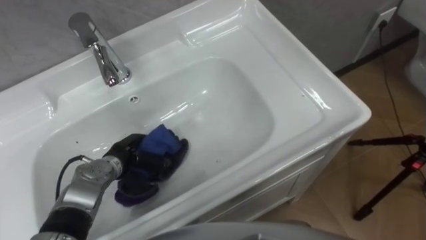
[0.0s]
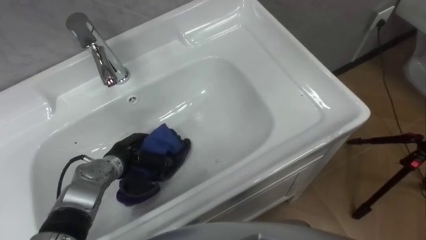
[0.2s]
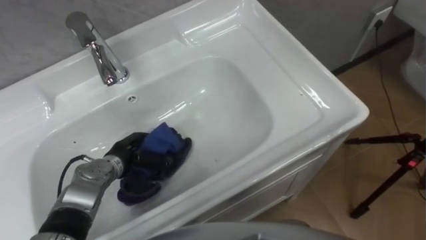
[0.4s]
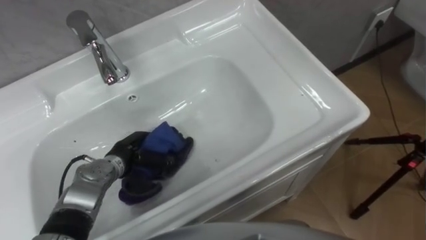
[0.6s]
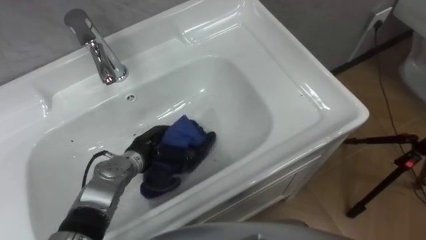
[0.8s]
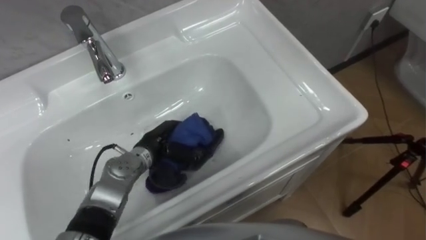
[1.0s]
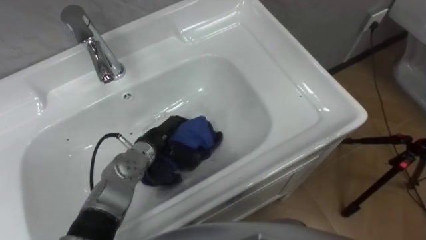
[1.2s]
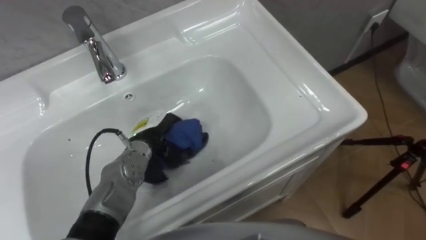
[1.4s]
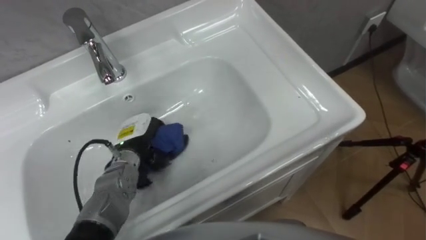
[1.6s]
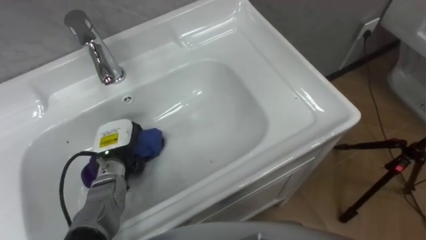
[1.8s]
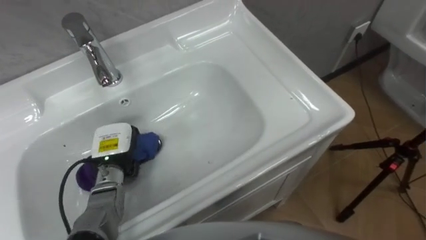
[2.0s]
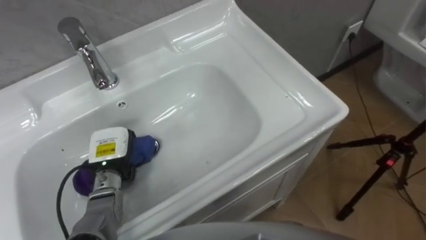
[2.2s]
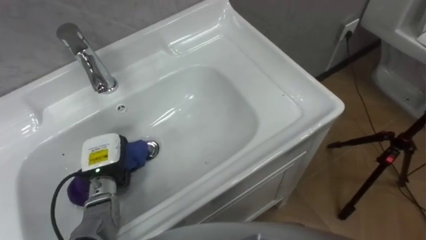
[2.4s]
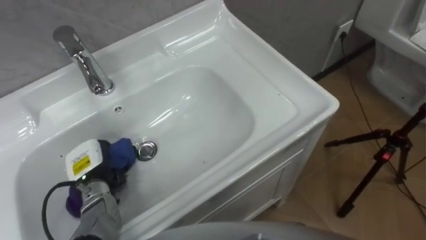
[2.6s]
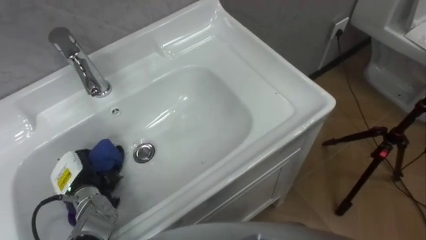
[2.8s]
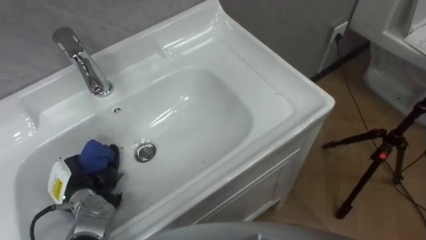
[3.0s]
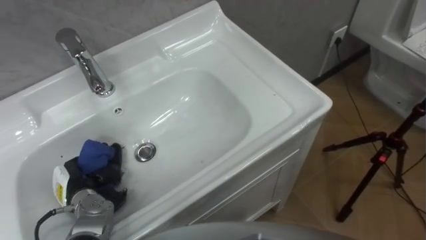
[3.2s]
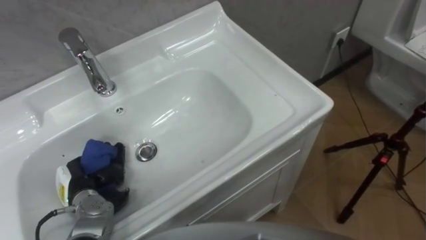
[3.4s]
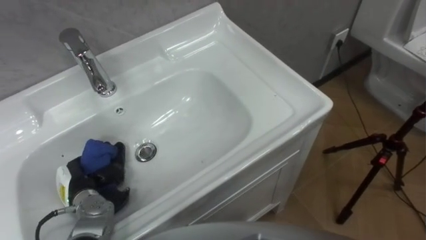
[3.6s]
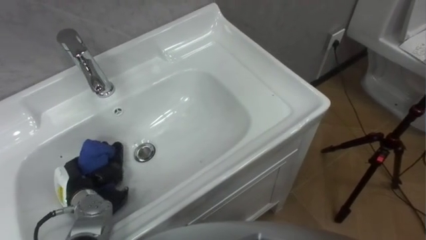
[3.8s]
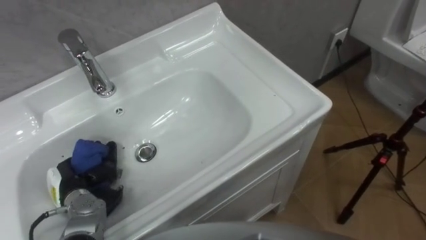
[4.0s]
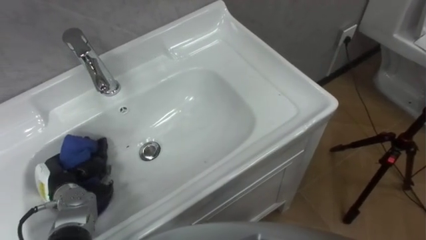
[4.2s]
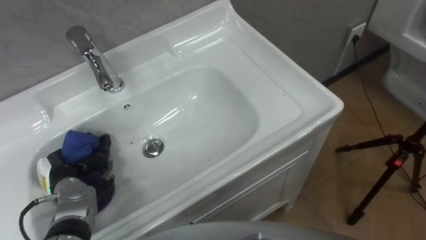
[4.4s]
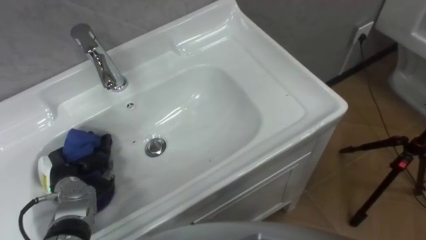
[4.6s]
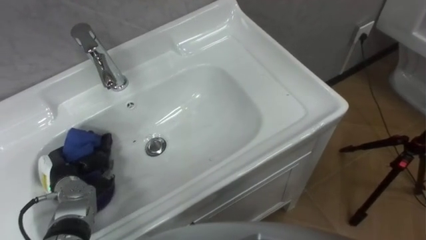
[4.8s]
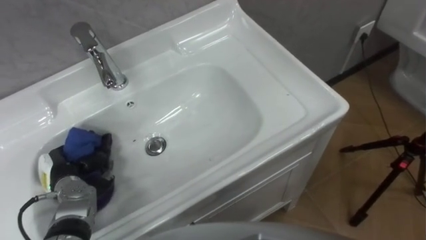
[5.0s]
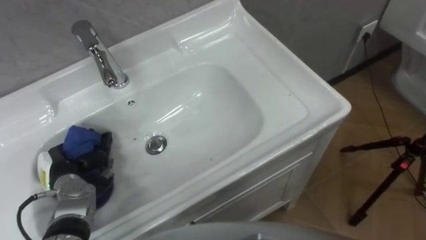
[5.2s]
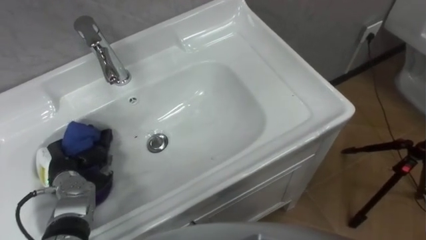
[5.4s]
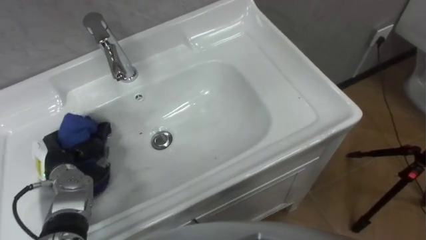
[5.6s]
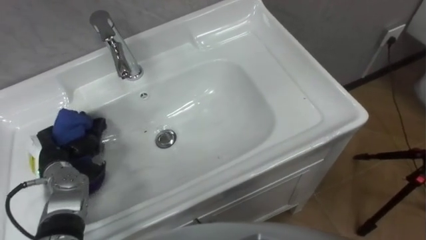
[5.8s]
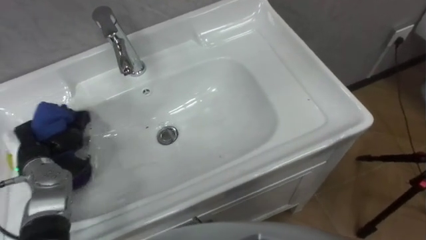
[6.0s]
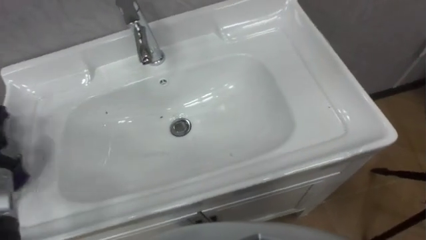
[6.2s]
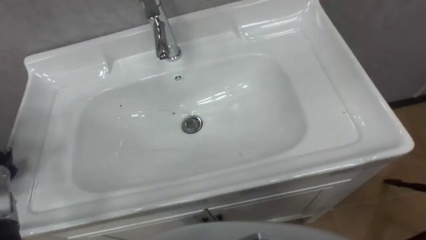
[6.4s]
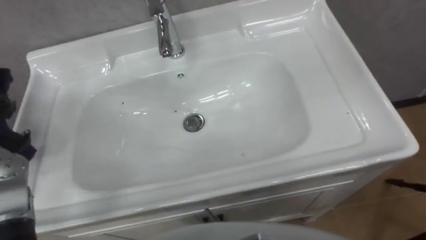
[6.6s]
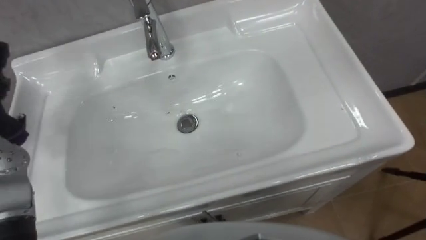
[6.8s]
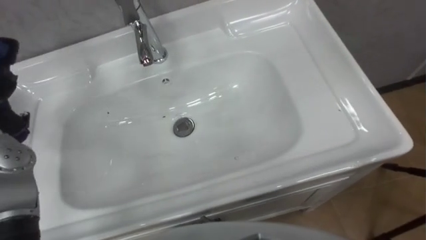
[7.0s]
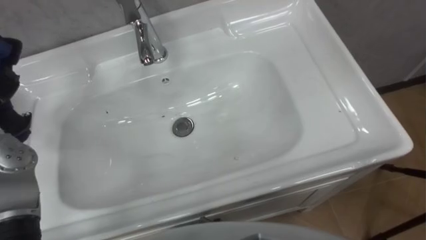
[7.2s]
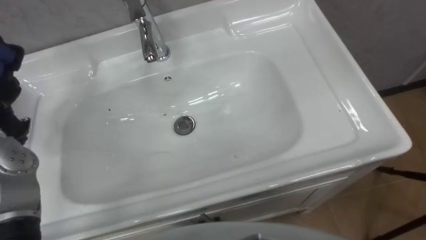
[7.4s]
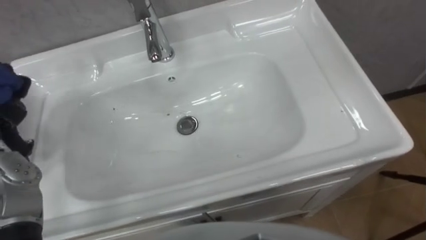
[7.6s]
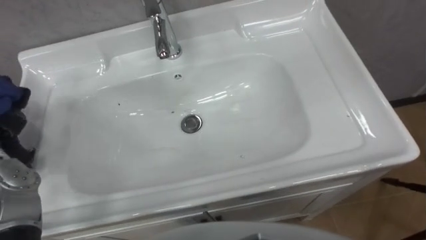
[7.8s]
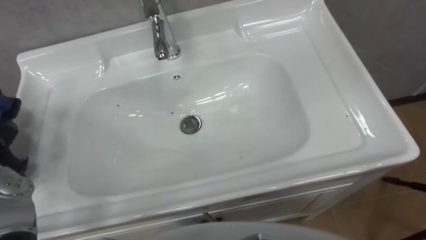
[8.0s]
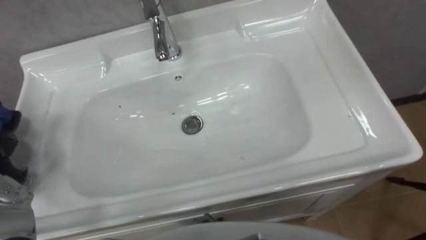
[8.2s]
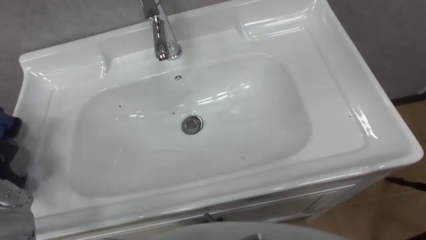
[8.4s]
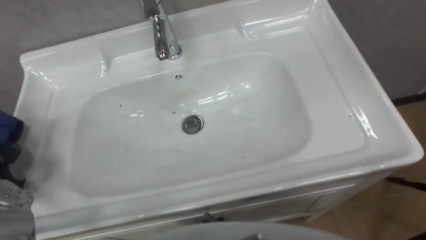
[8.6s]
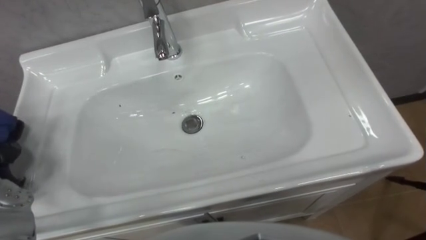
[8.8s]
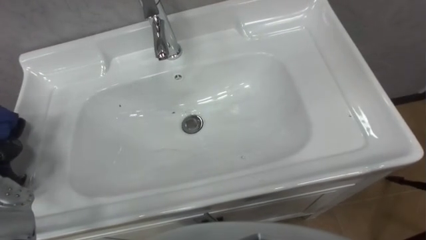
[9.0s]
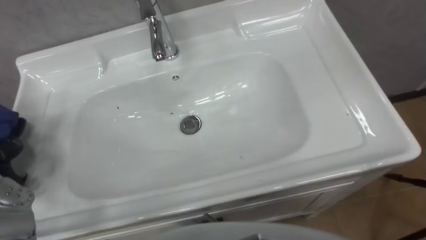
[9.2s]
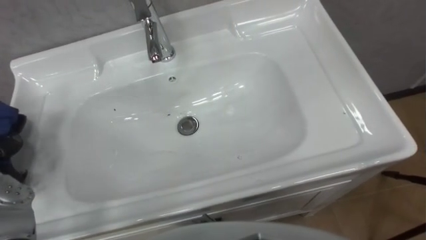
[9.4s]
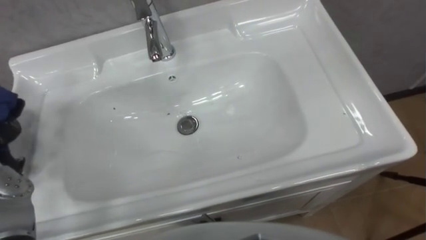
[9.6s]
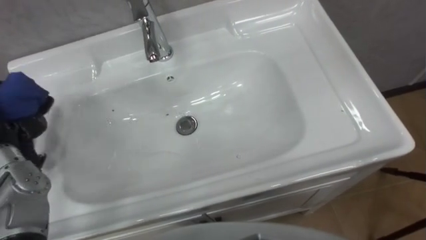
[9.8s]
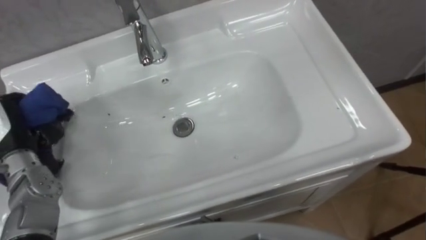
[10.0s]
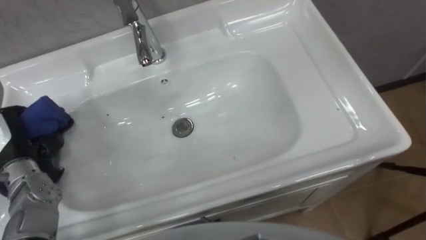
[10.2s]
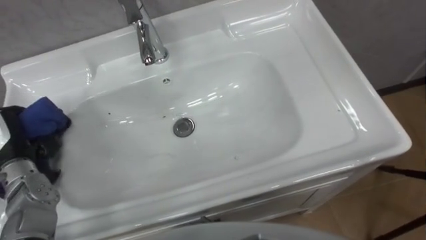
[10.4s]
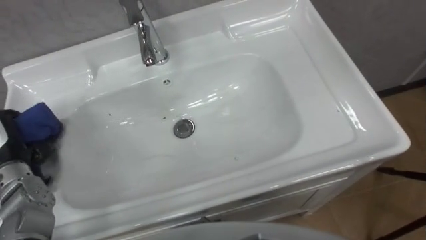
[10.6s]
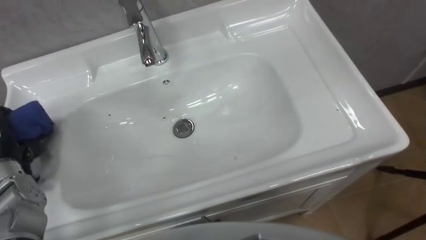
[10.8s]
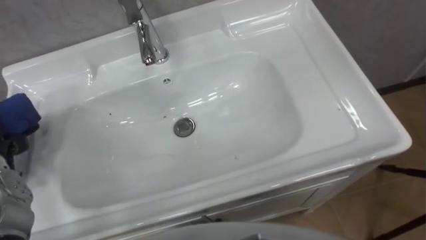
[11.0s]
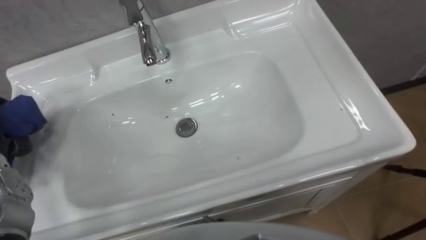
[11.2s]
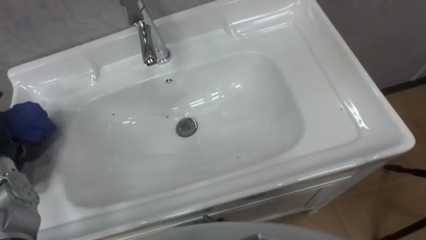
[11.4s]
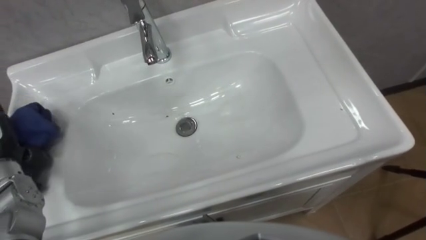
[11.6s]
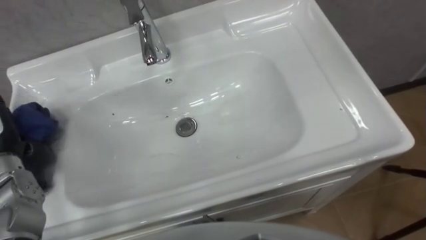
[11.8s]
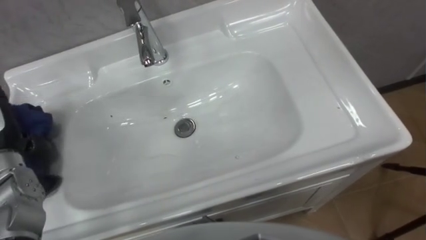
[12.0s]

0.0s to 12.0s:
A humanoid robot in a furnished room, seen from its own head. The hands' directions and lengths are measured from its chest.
Task of the whole recording: Use the cloth on the right to wipe away the black stain in the sink.
1.6s to 3.0s: The left hand goes about 15 cm to the left and backward.
4.4s to 6.0s: The left hand is displaced upward by about 5 cm.

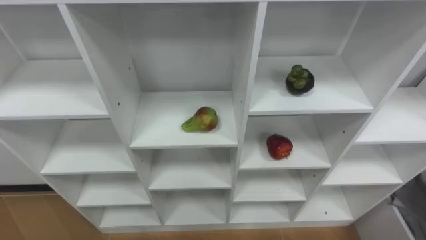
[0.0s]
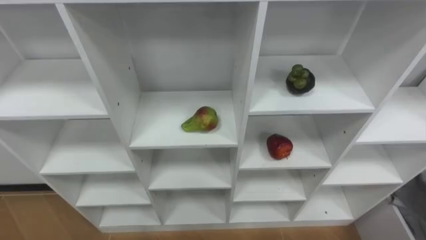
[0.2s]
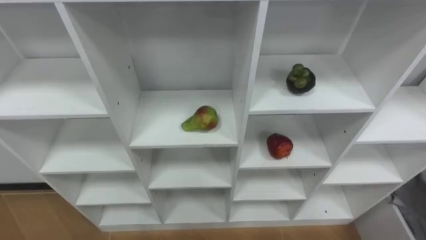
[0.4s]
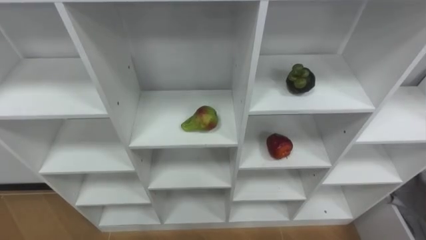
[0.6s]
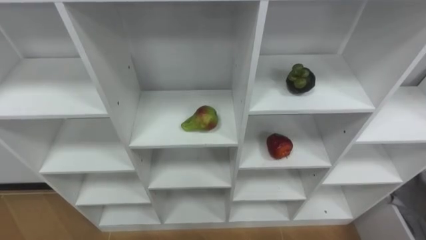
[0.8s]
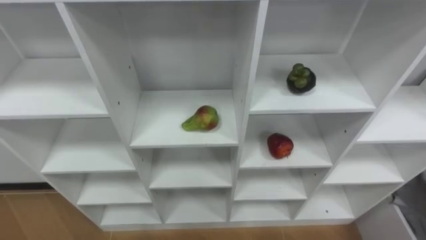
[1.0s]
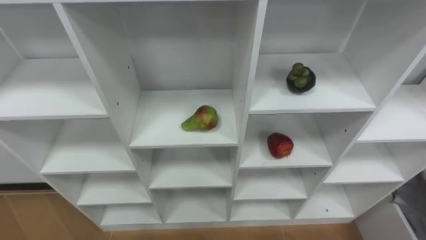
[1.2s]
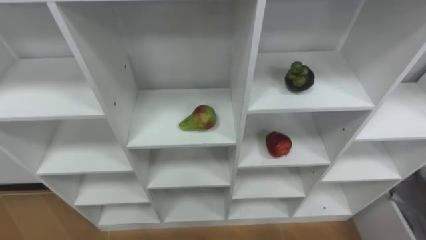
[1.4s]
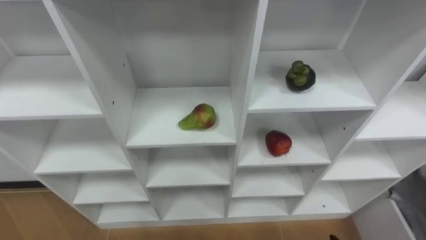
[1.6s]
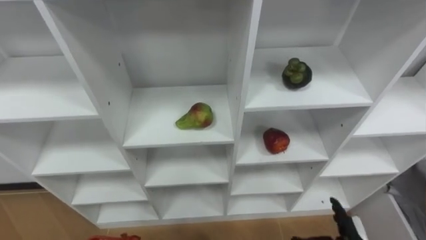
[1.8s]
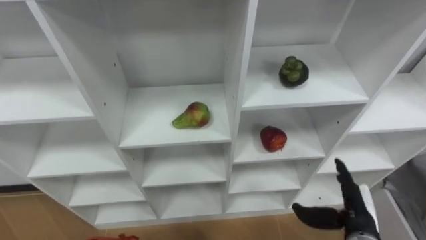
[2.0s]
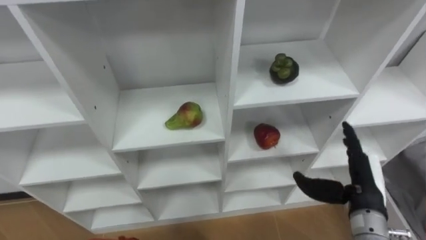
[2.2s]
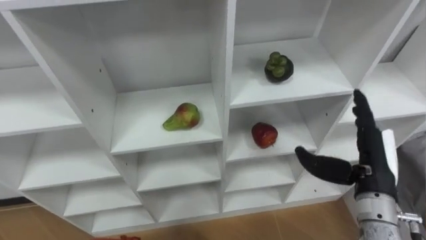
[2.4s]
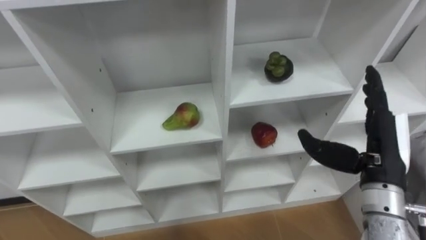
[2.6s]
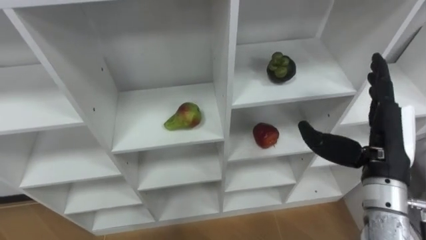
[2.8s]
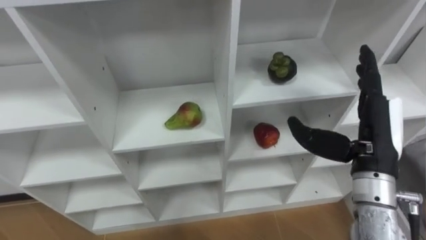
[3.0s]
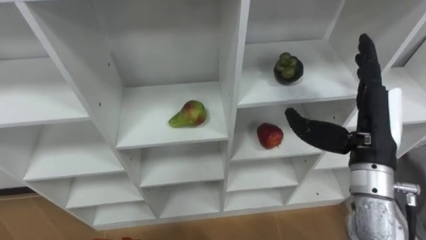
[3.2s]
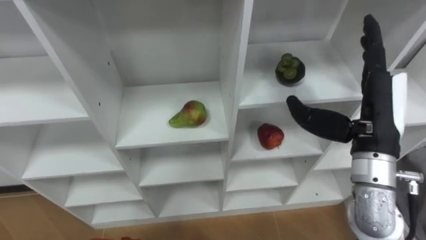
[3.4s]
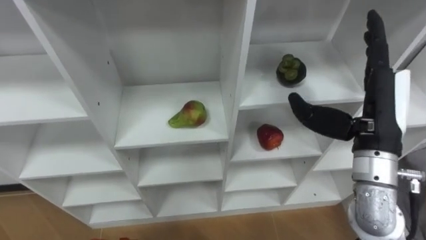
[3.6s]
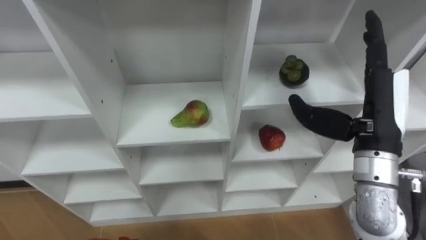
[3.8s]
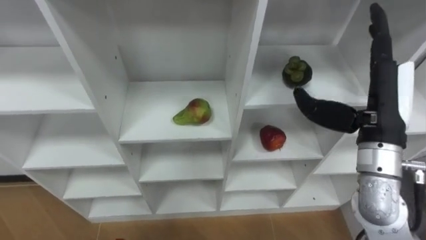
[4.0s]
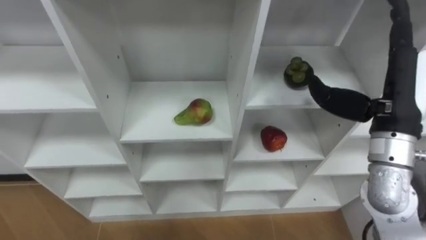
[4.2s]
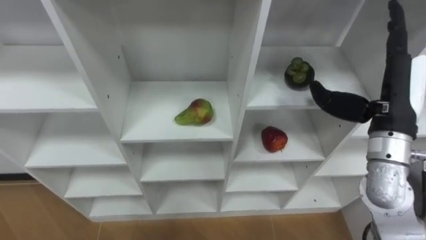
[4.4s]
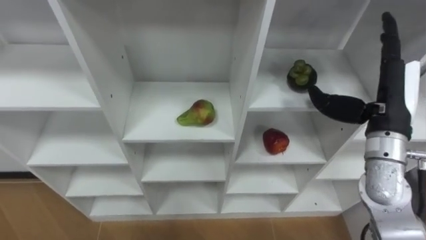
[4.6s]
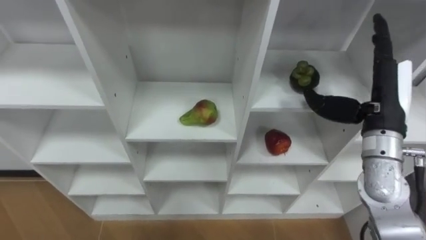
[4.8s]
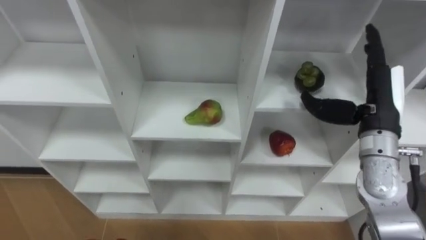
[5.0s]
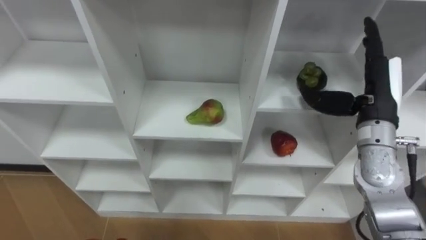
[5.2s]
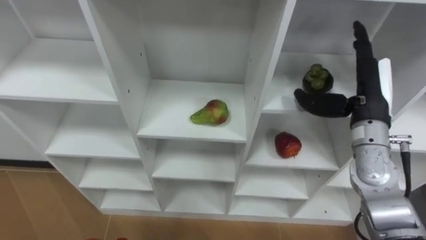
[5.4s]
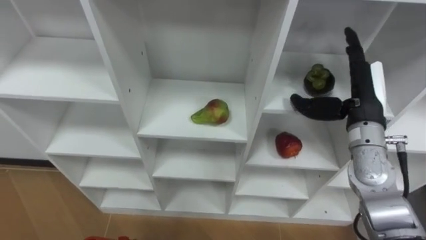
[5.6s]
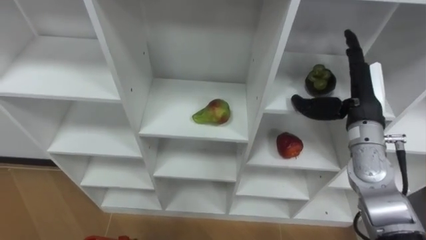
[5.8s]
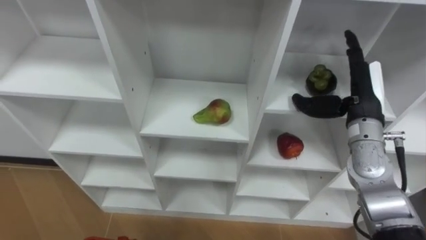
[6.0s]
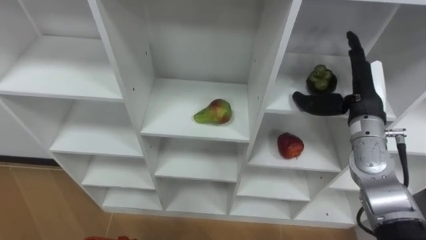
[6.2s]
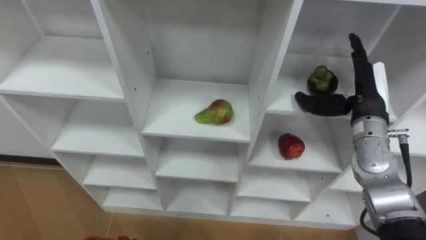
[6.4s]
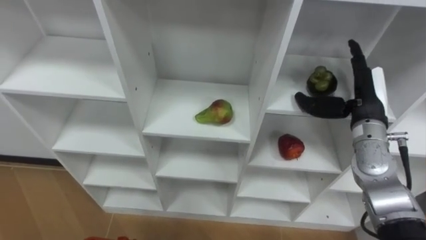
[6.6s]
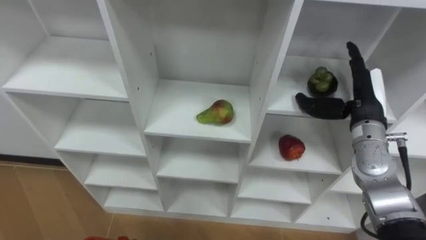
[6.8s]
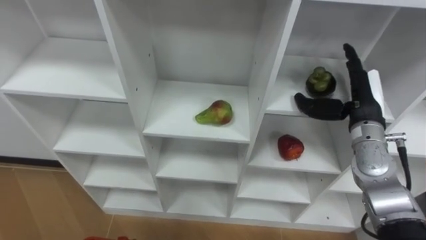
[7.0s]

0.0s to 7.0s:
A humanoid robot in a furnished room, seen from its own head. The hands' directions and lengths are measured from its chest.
Task of the whole recording: Hold the basket and collect the fruits from 3 different cells of the closet into it.
2.8s to 4.2s: The right hand heads upward, covering roughly 5 cm.
4.2s to 5.6s: The right hand is displaced downward and forward by approximately 10 cm.
